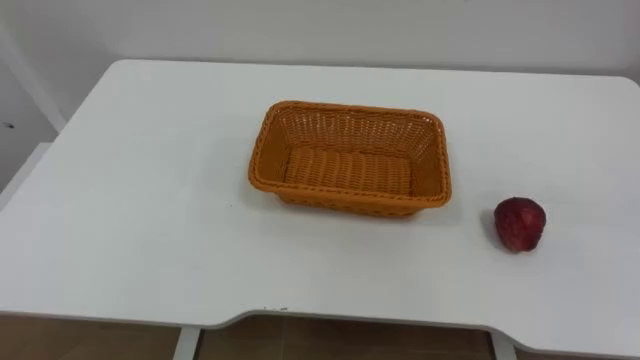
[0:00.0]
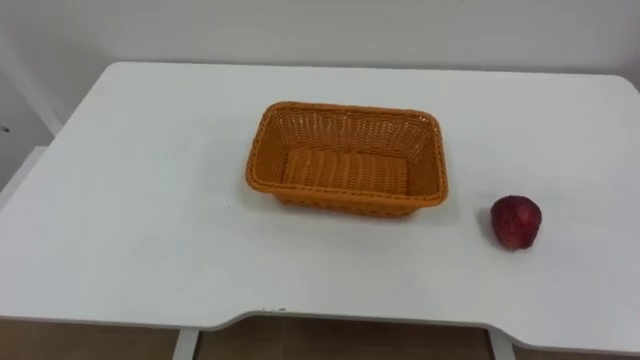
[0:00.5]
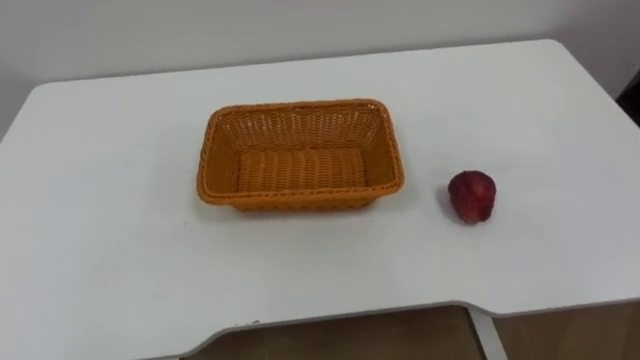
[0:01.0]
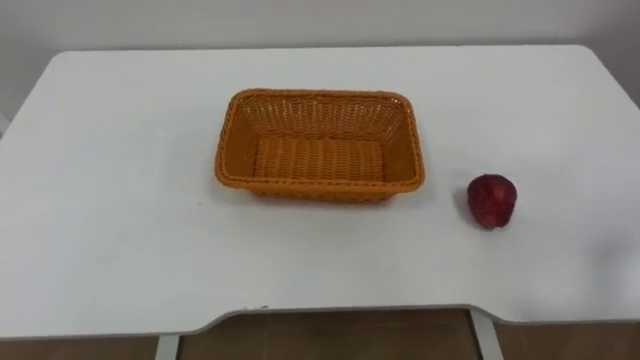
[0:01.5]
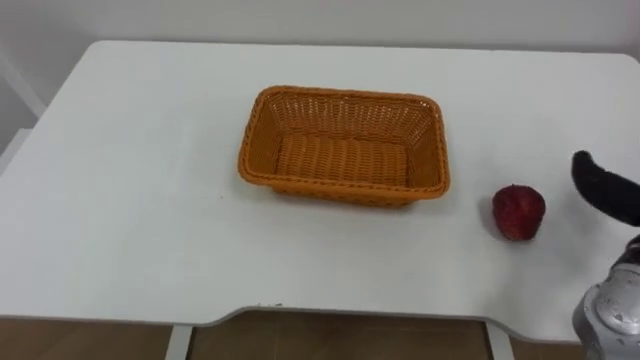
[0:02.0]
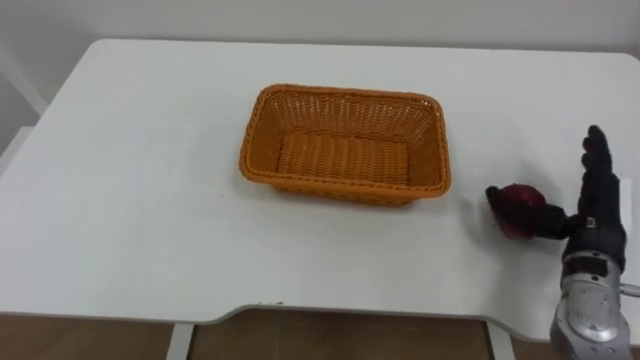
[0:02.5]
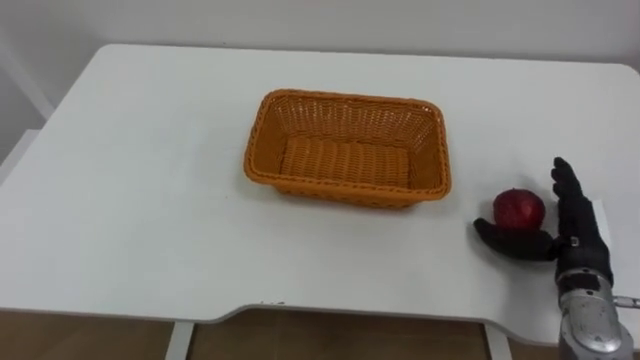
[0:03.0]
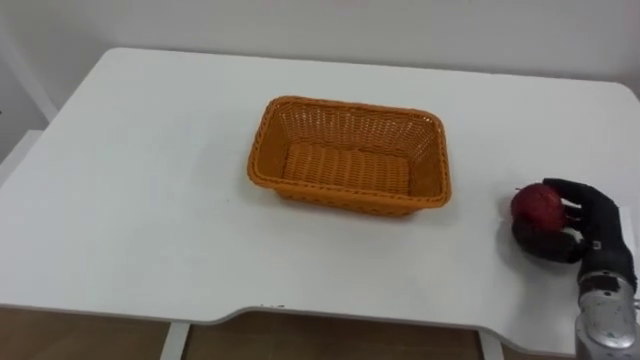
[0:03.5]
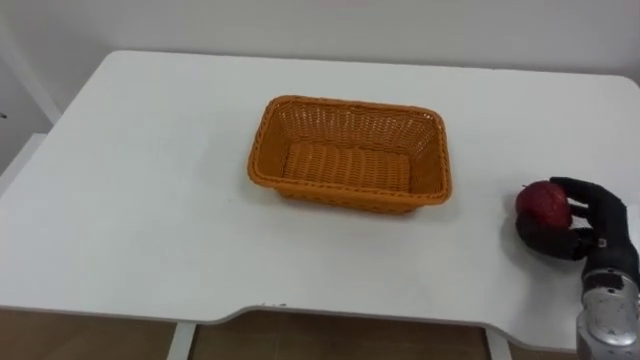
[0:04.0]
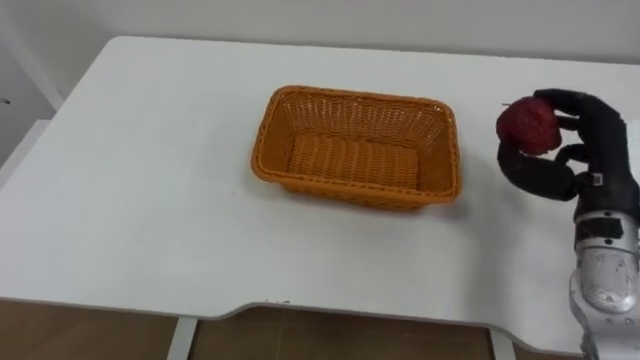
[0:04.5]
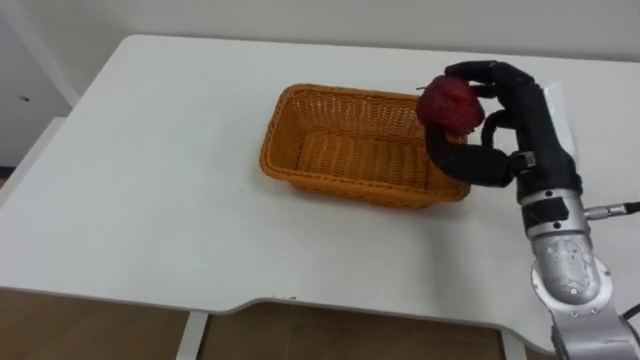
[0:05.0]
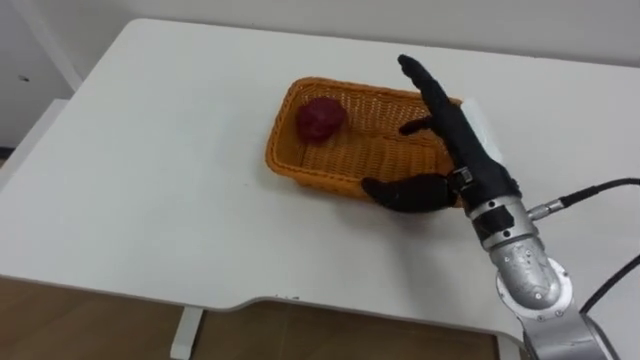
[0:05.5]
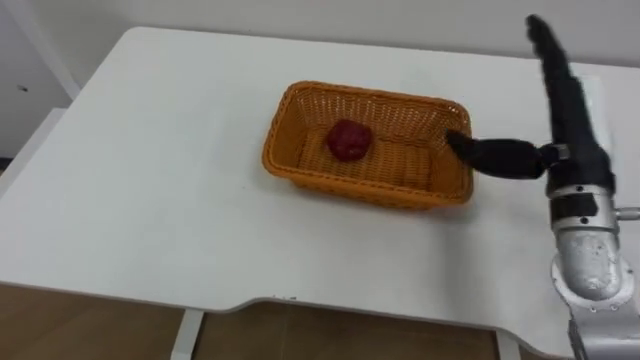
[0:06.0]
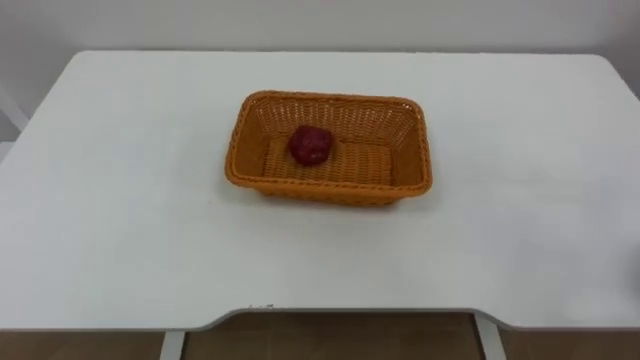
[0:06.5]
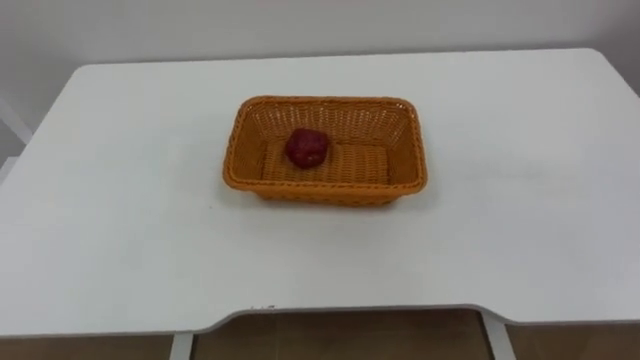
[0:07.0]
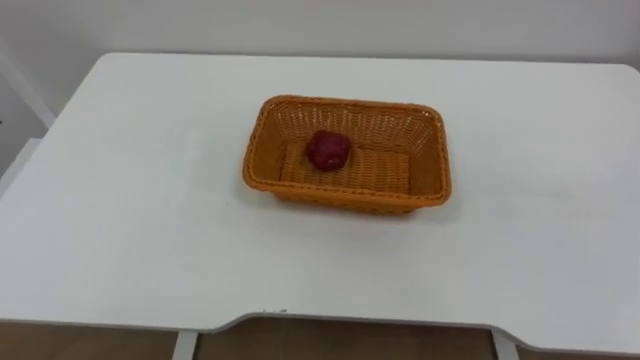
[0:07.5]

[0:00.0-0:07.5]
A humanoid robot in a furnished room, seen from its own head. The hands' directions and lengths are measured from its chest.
Task of the whole recording: Pick the apple and place it in the box.
0:04.0 to 0:05.5: The right hand heads to the left and upward, covering approximately 25 cm, and opens.

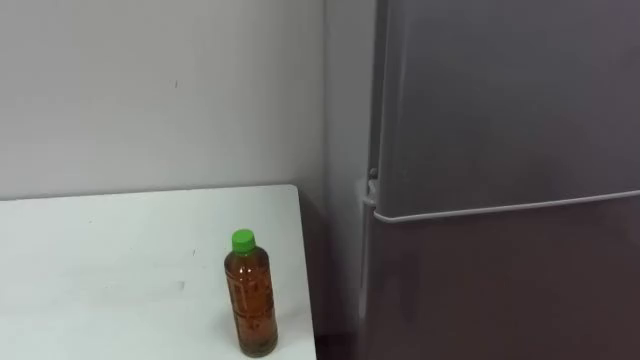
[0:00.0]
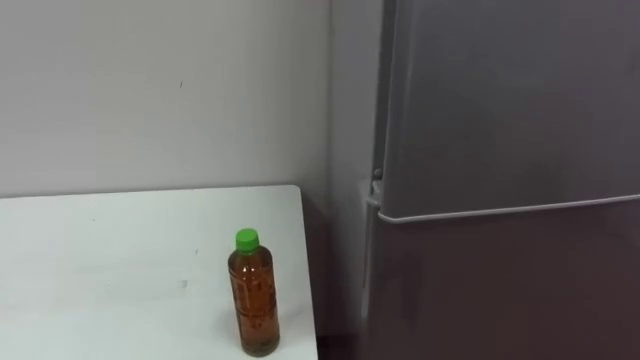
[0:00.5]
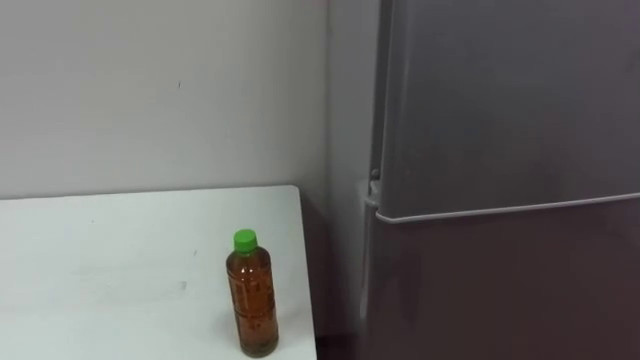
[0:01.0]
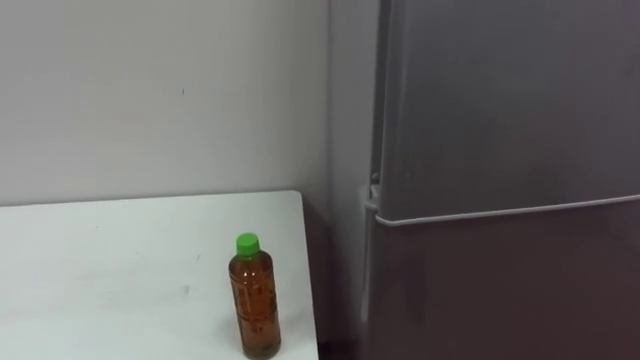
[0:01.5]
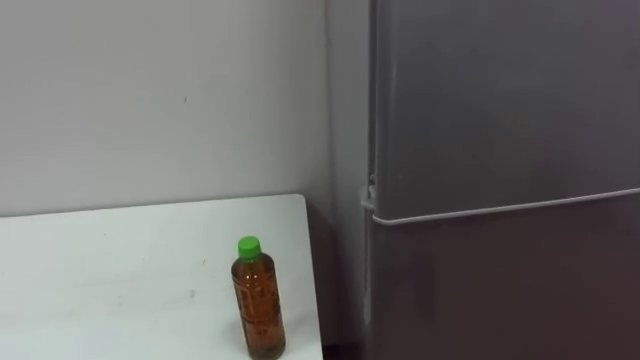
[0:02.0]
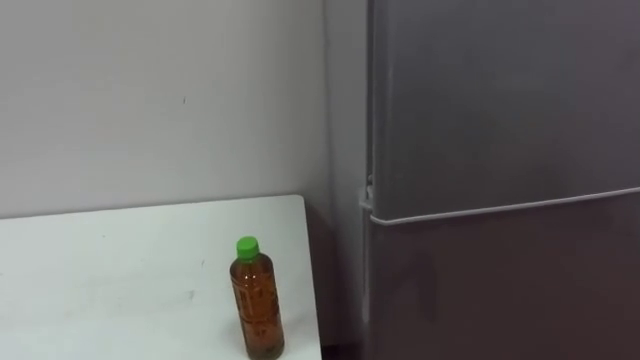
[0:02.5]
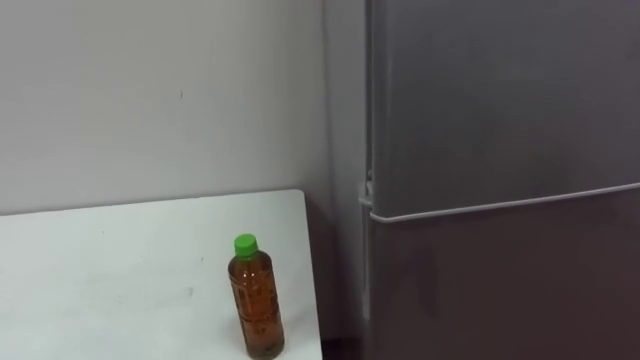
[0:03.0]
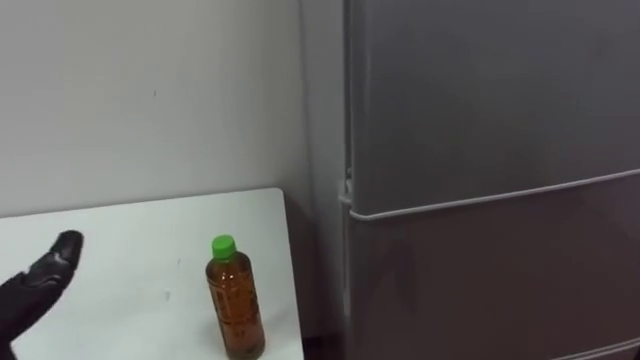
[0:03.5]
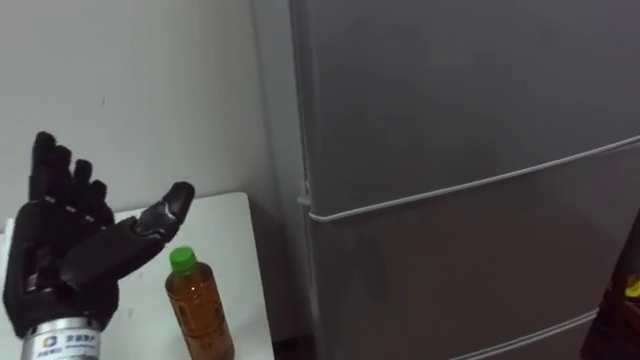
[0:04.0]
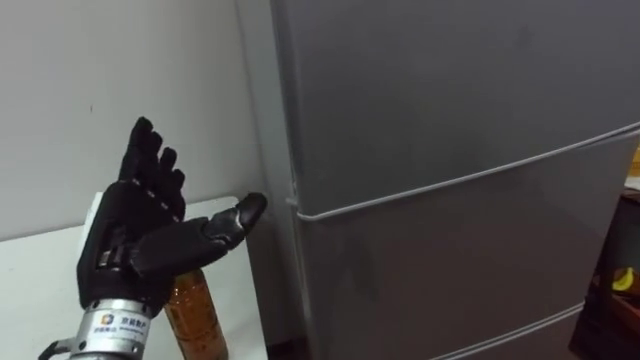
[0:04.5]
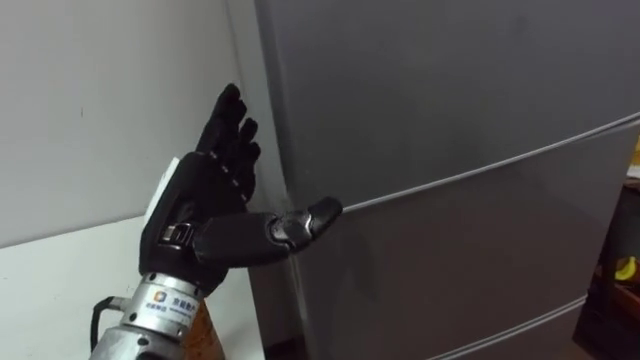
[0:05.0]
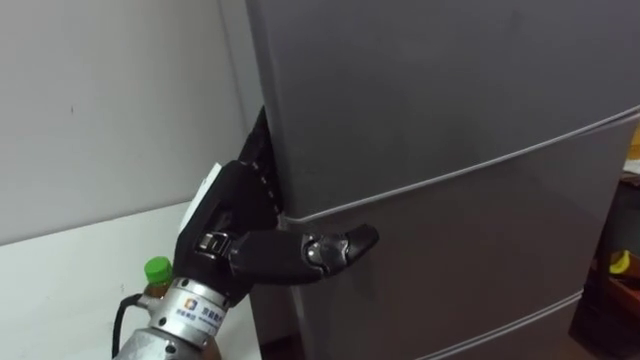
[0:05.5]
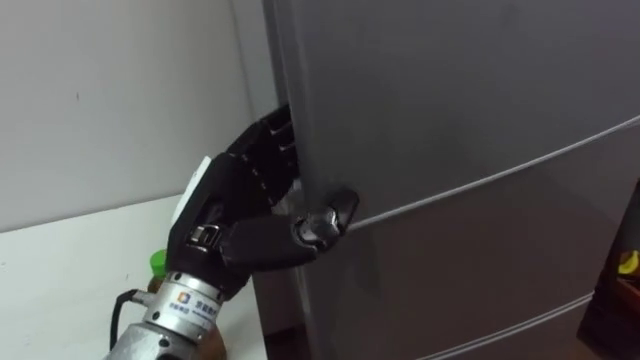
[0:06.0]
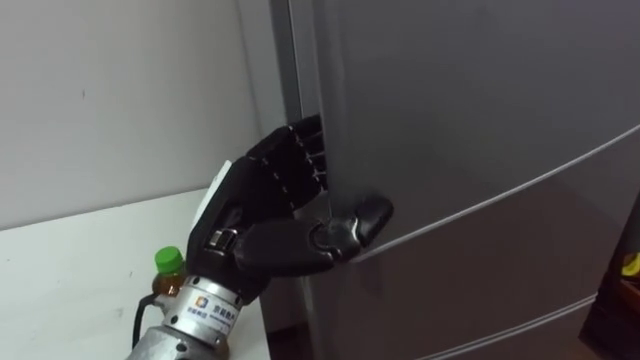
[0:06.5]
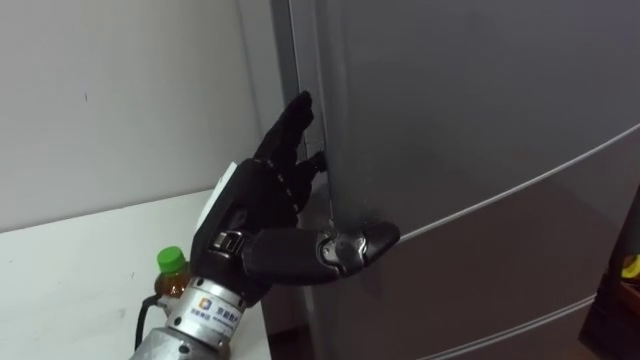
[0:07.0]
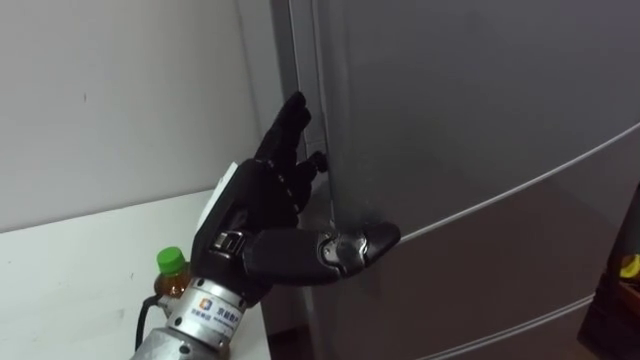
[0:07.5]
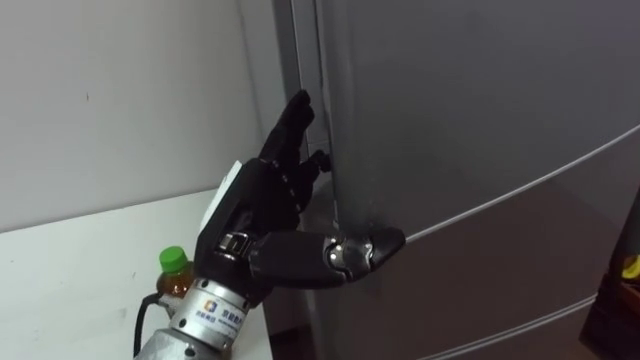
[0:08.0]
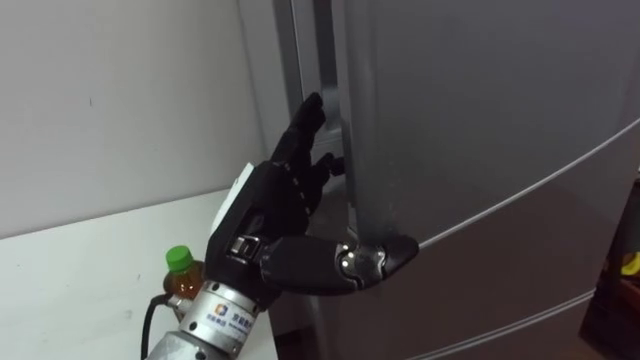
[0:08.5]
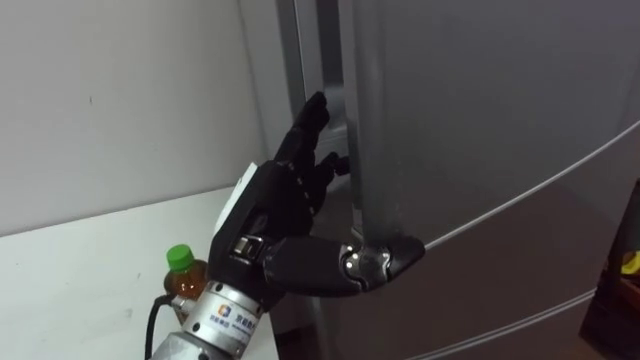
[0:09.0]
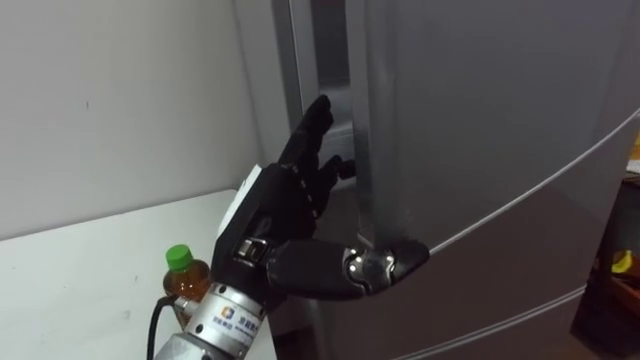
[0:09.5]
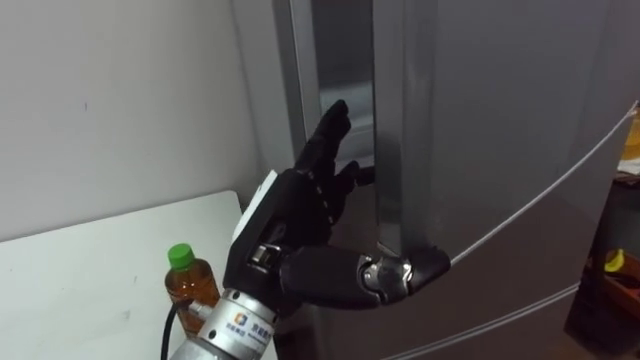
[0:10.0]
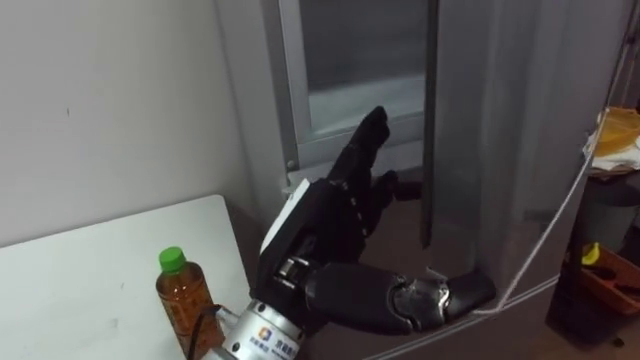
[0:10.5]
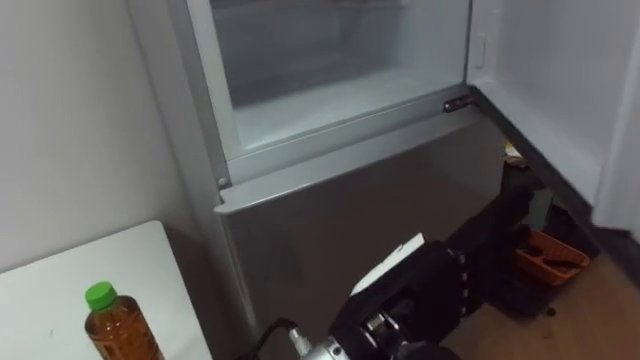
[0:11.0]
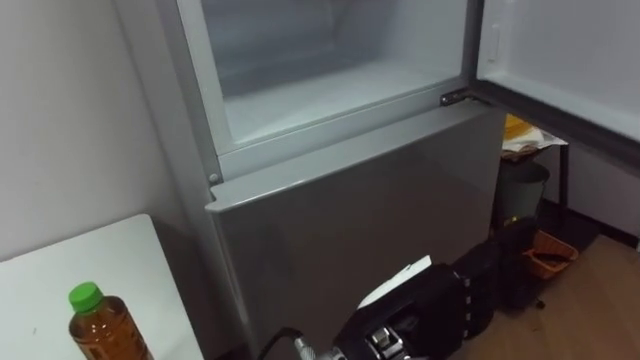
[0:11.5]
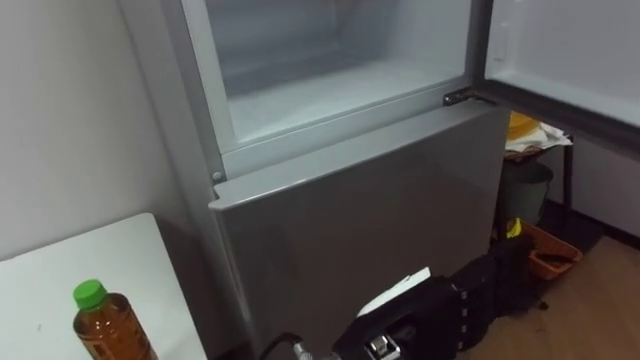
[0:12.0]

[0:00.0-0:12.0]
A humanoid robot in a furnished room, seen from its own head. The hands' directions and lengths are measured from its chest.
Task of the whole recording: Open the upper refrigerator door, put the drink from the table into the refrigerator, and then close the refrigerator door.
0:04.0 to 0:06.0: The left hand is displaced to the right by some 15 cm.
0:10.0 to 0:12.0: The left hand heads to the right and downward, covering roughly 10 cm.

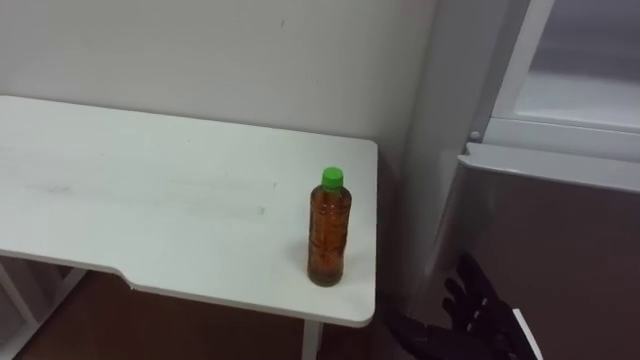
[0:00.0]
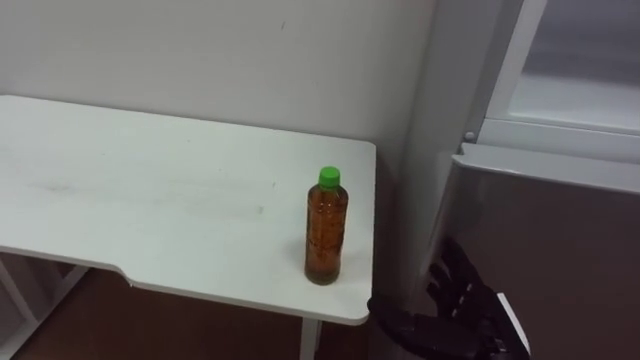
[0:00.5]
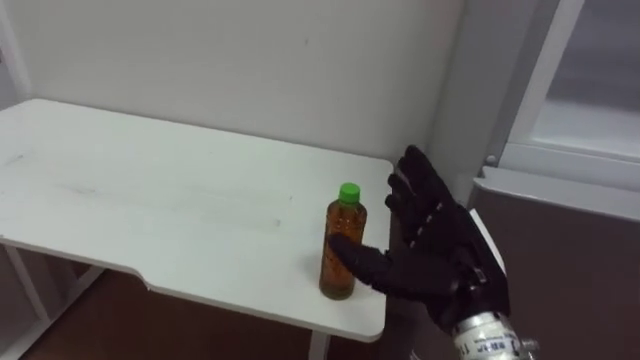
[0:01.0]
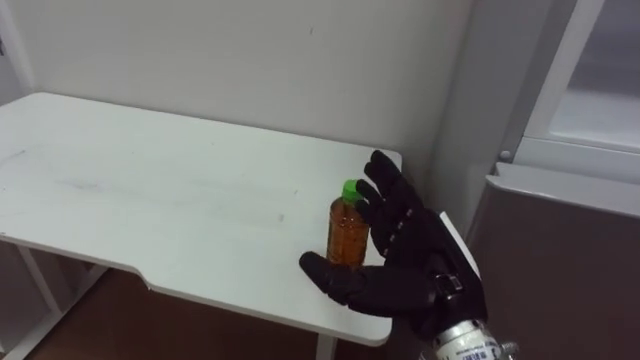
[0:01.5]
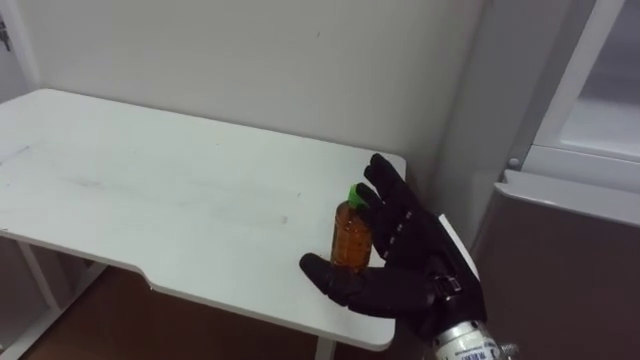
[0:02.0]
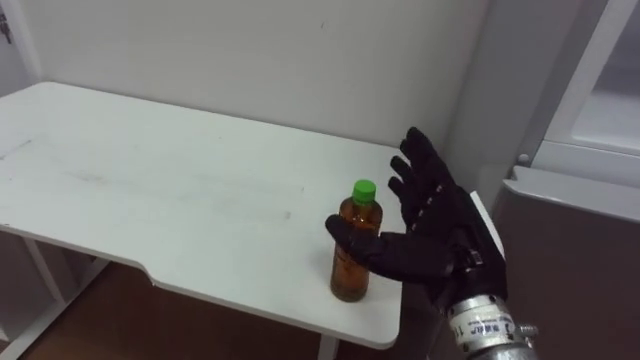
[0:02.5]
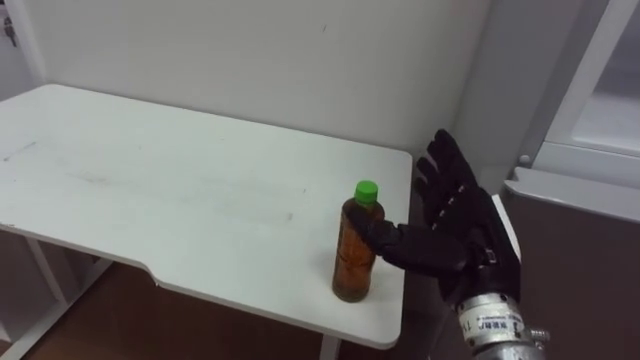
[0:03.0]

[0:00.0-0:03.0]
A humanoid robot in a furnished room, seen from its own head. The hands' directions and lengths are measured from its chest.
Task of the whole recording: Open the upper refrigerator door, put the drink from the table into the refrigerator, and then close the refrigerator door.
0:00.0 to 0:01.5: The right hand travels upward and to the left by about 15 cm.
